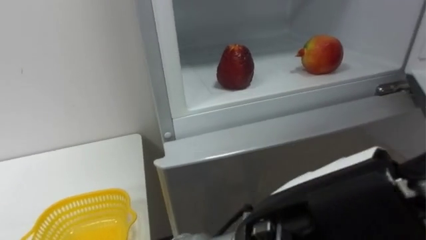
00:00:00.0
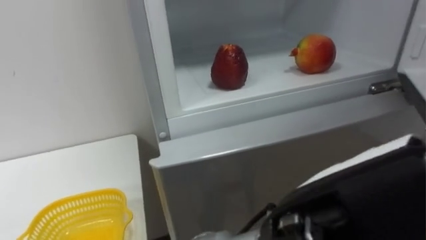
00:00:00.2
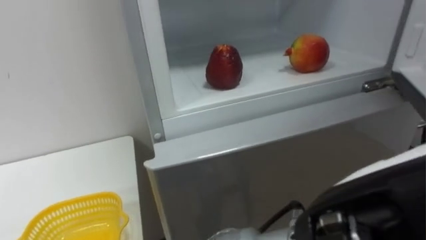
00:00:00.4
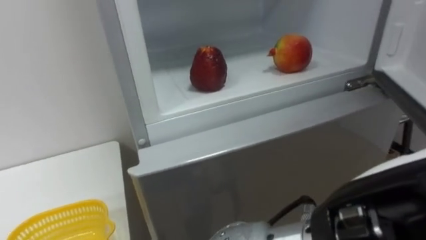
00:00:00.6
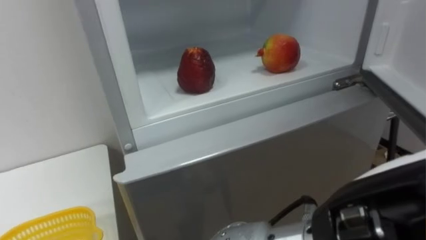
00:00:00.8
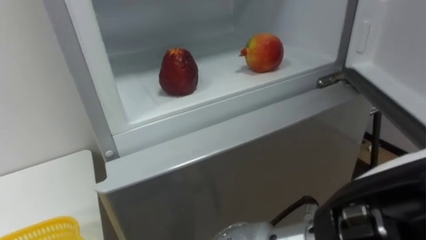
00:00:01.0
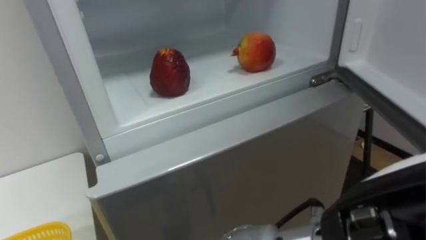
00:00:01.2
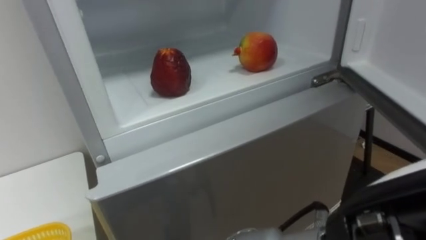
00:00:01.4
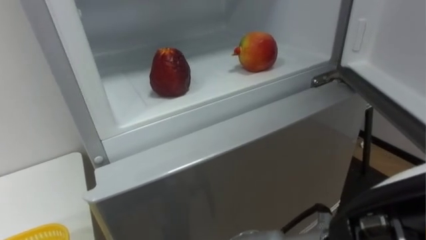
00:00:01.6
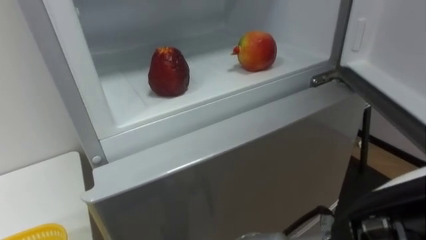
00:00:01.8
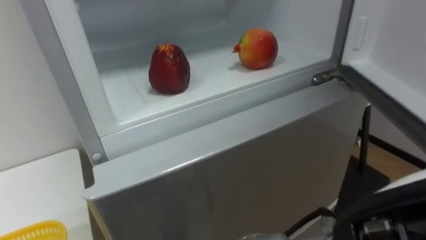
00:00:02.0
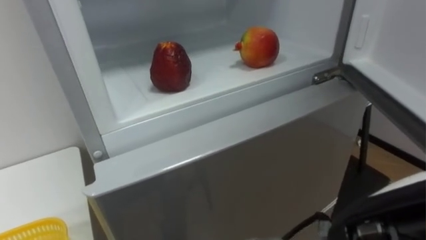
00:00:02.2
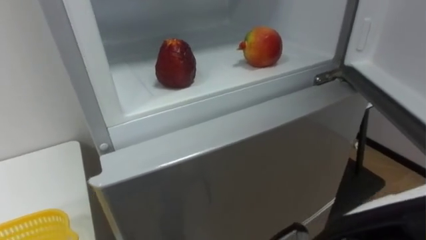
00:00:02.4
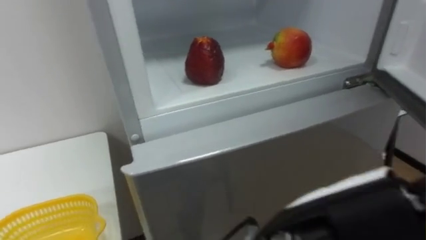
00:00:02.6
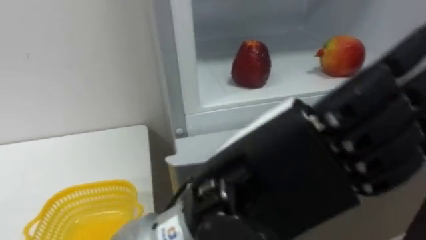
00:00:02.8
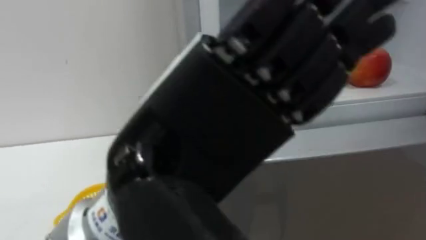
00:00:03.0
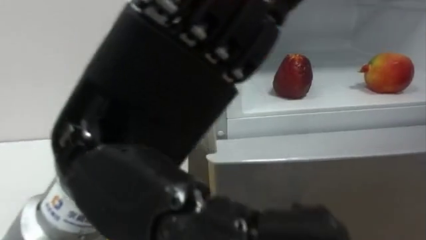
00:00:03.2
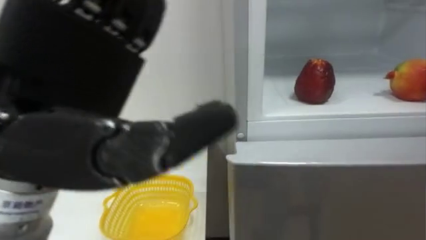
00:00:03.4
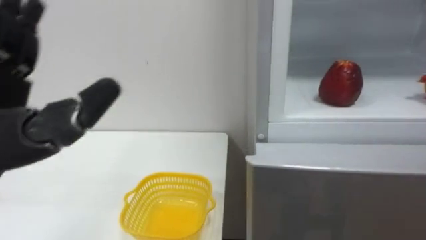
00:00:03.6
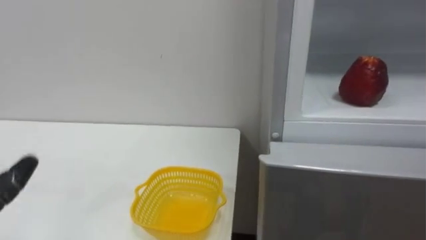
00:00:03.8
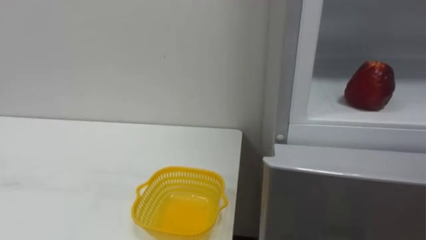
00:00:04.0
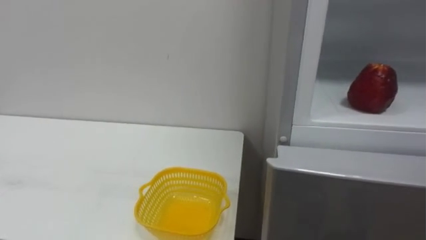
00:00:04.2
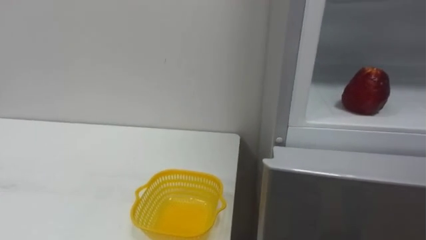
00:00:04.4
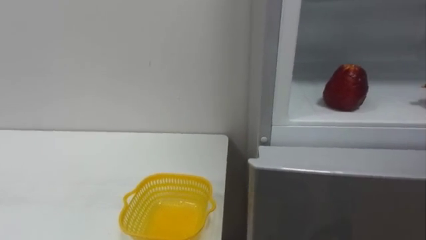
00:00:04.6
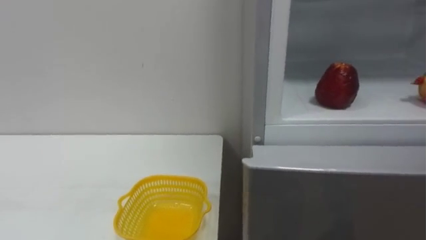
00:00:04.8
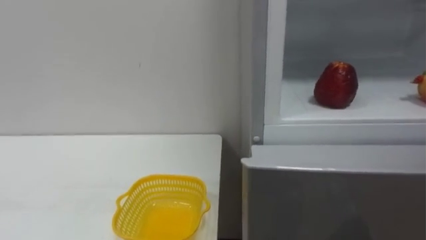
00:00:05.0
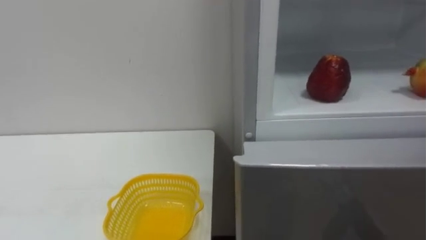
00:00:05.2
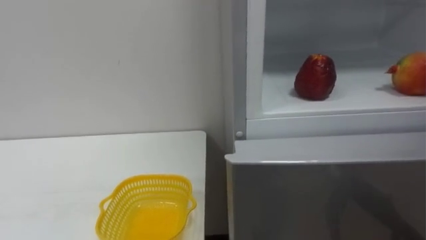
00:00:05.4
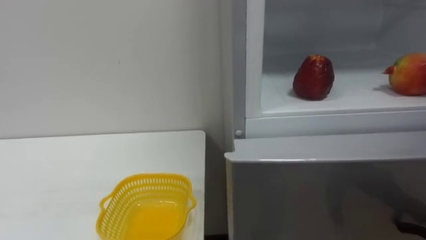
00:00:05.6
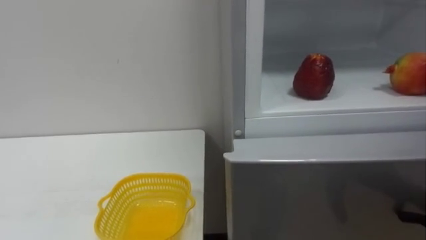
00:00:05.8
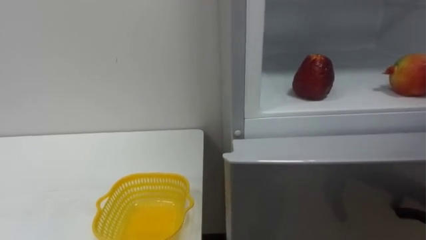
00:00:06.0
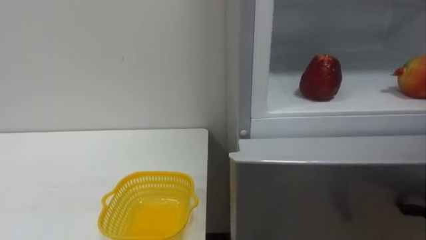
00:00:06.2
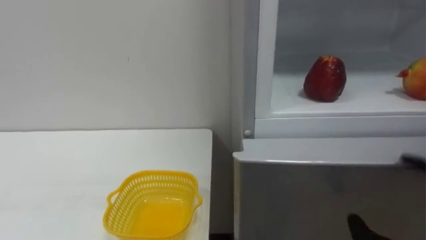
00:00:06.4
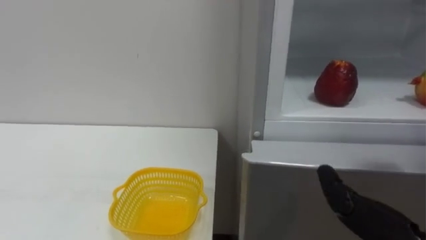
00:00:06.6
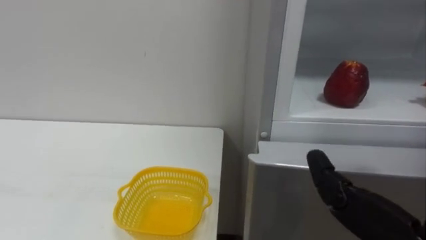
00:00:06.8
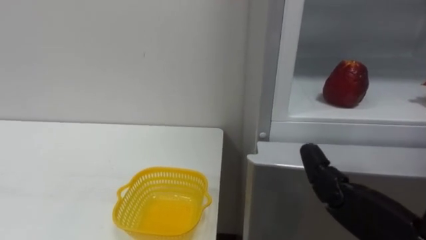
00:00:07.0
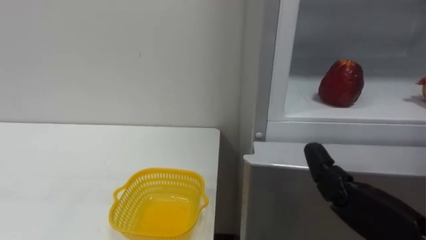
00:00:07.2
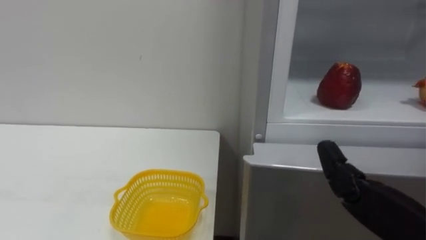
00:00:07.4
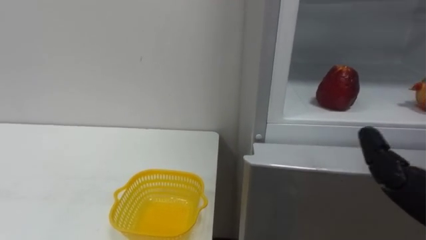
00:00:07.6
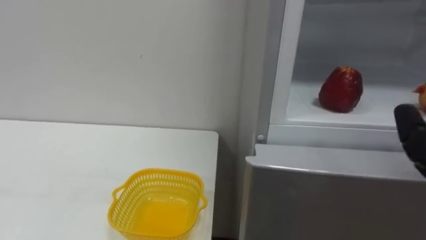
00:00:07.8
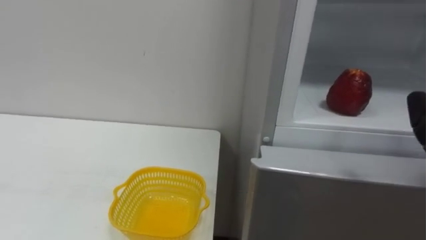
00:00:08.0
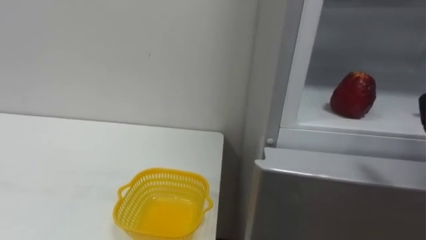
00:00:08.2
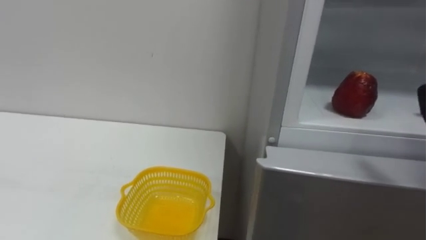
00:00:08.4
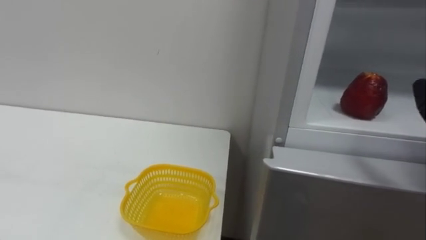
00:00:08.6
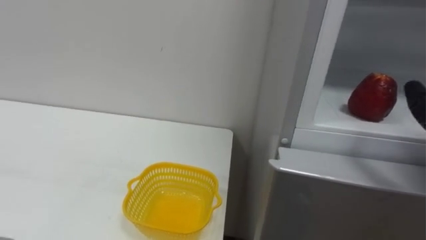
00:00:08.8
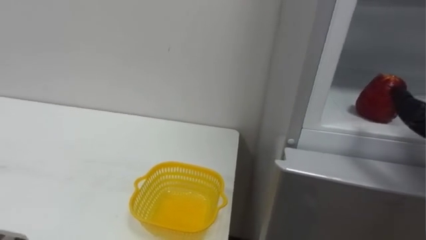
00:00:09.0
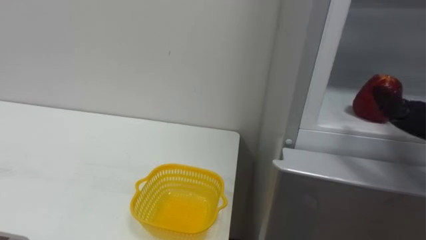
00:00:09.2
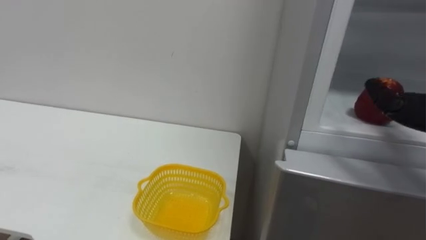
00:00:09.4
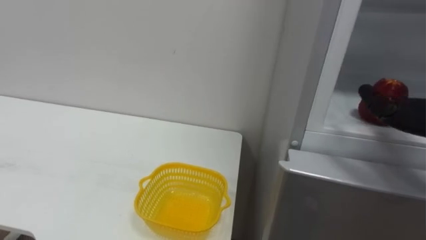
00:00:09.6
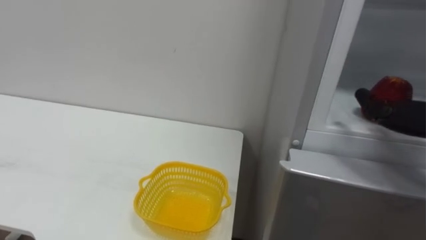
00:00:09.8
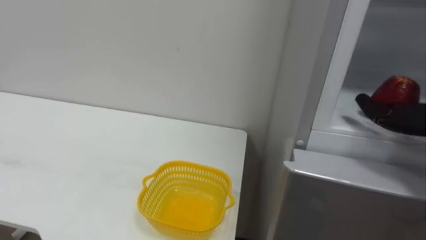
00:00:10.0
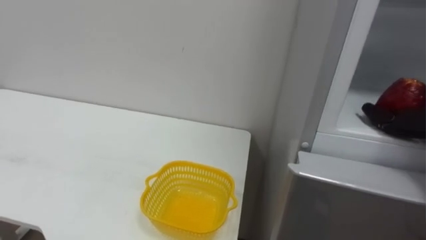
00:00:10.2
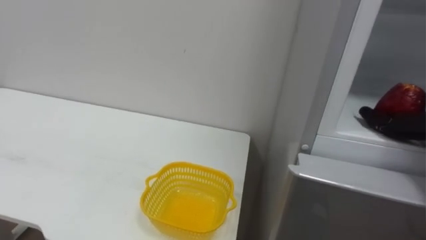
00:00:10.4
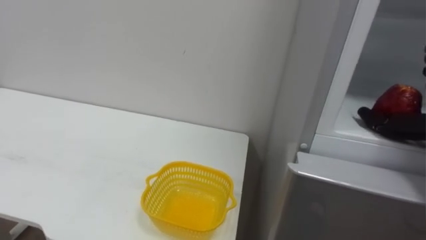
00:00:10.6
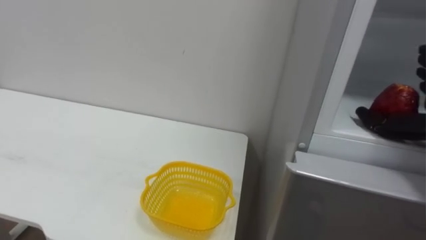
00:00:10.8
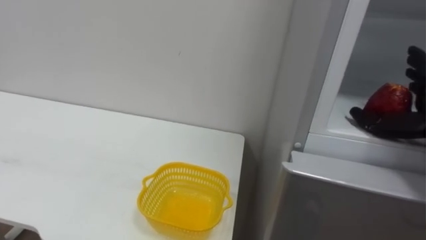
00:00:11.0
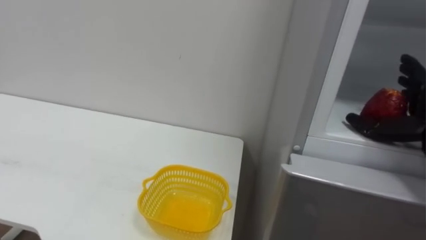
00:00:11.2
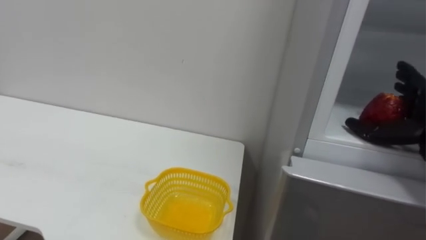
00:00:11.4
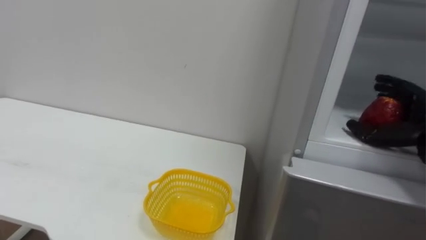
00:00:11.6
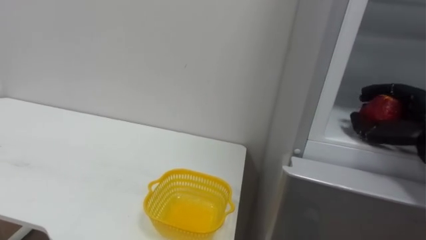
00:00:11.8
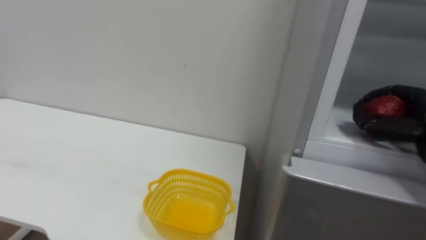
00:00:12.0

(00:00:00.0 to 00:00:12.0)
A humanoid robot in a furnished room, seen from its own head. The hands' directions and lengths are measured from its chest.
Task of the whole recording: Open the refrigerator door, take out the apple and the pomegranate, place them in the fruit basket on the left, and close the refrigerator door.
00:00:00.0 - 00:00:01.6: The left hand is displaced to the right by roughly 5 cm.

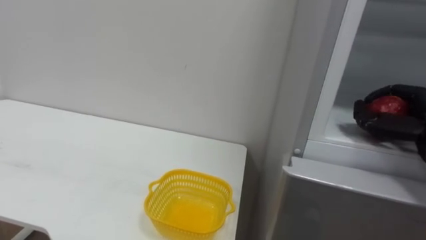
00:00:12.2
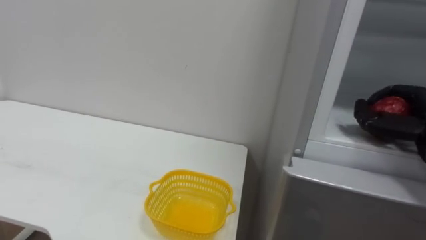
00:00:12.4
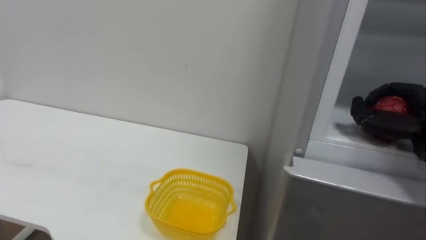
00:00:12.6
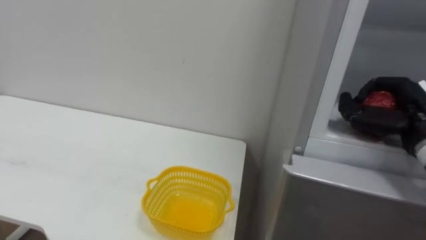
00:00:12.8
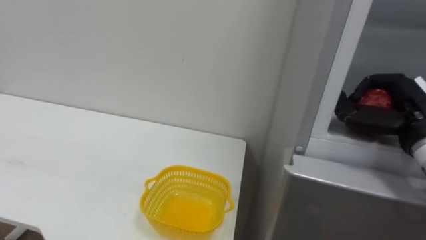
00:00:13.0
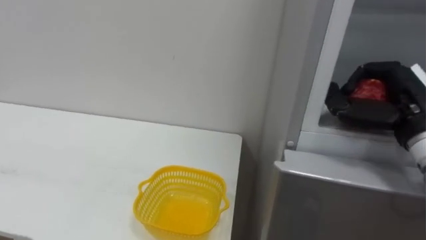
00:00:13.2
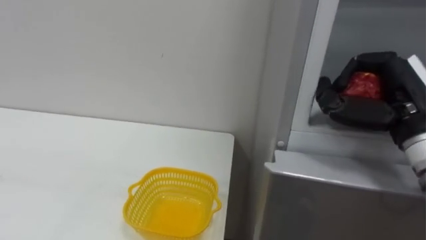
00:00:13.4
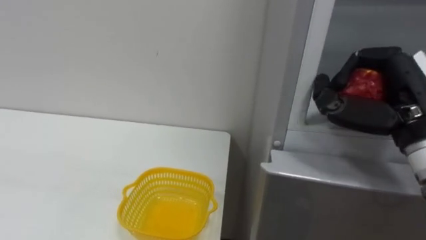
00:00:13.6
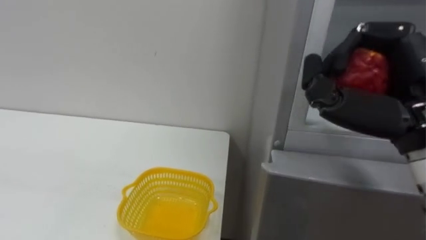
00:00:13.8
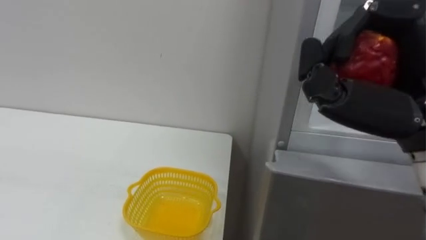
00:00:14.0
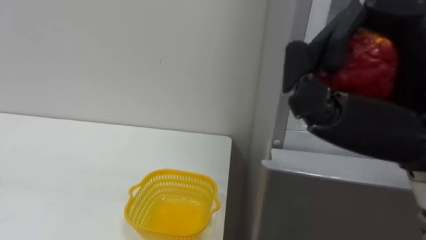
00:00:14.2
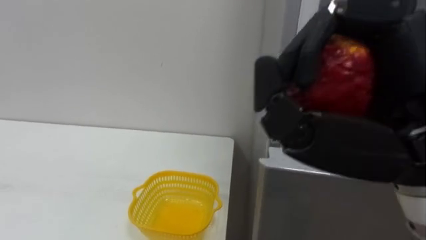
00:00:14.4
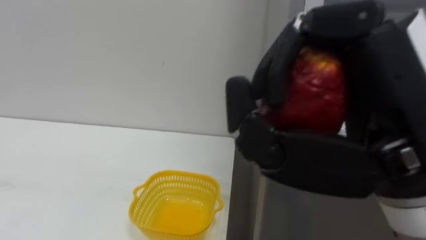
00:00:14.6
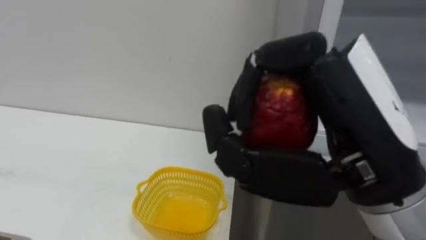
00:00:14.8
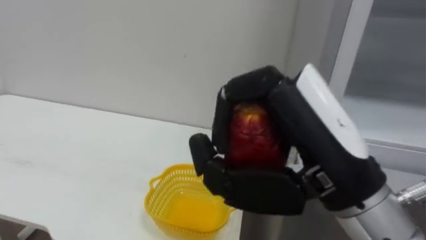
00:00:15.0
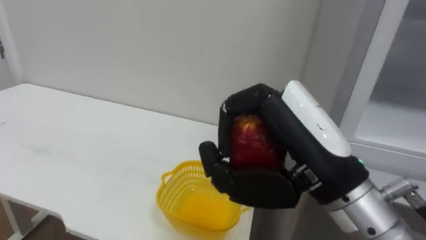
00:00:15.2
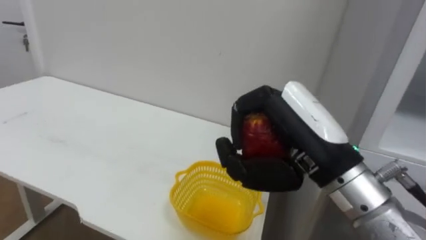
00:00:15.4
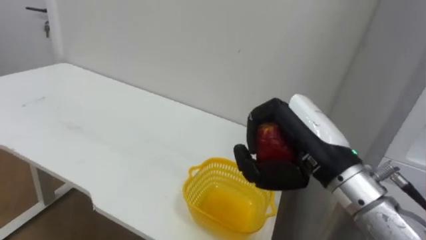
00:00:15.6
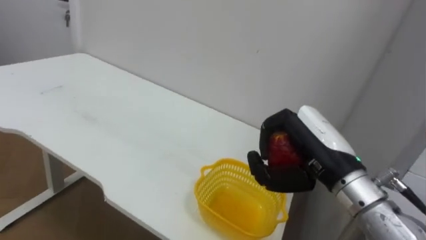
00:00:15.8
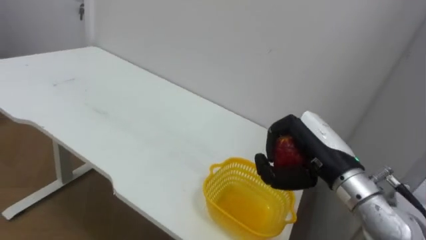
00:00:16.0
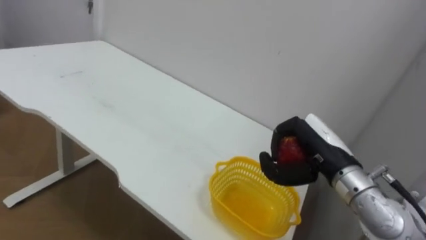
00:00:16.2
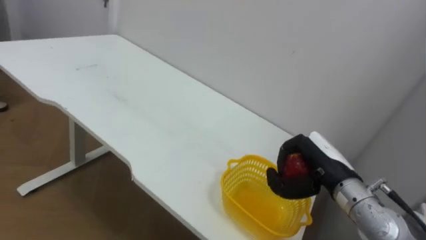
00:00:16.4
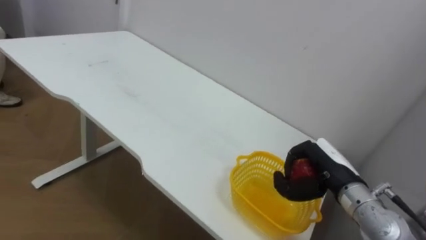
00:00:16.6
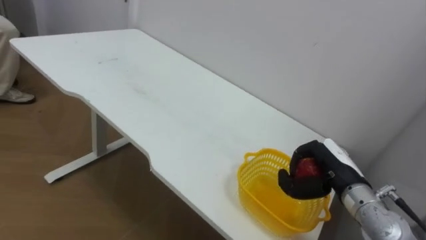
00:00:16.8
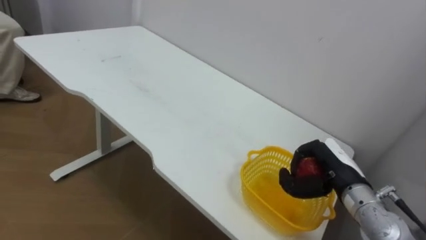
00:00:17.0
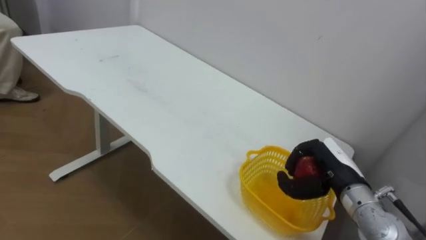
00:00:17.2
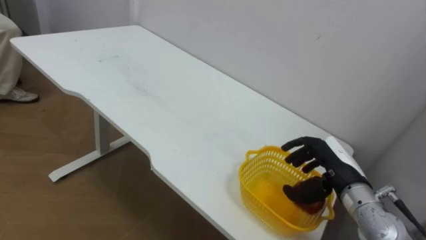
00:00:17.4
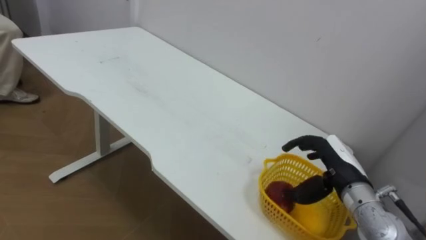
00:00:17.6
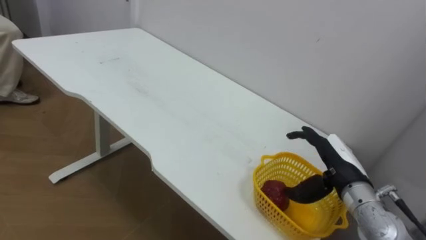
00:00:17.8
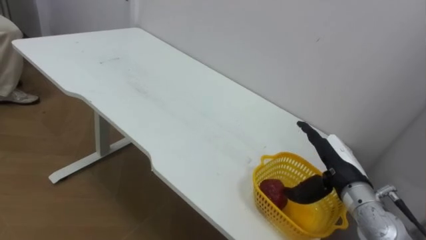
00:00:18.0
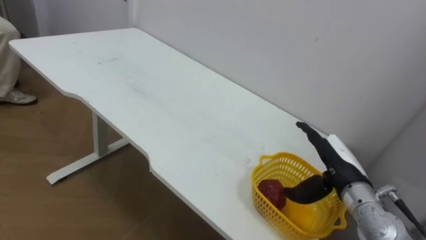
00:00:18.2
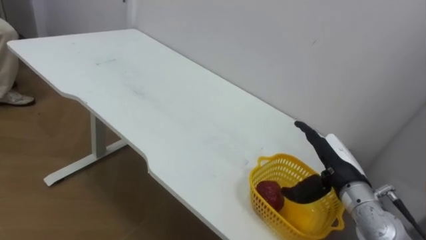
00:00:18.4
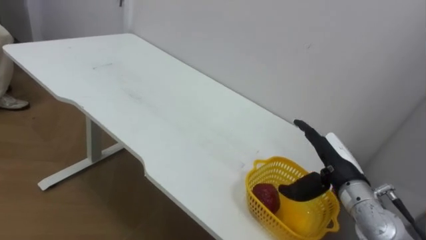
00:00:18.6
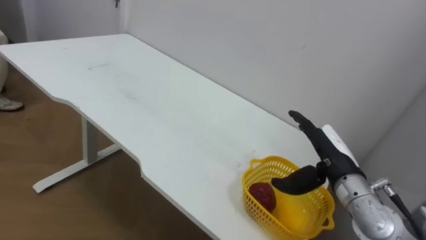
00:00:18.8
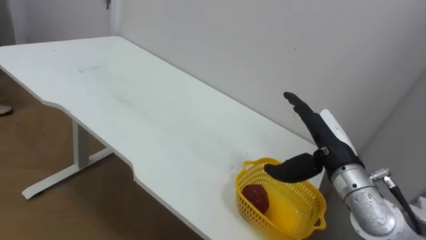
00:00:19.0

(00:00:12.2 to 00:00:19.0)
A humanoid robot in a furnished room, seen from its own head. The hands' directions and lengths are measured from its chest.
Task of the whole recording: Open the refrigerator door, take out the apple and the pomegranate, place them in the fruit basket on the left, and close the refrigerator door.
00:00:12.2 - 00:00:13.6: The right hand shifts some 15 cm to the left, upward and backward.
00:00:13.6 - 00:00:15.0: The right hand moves to the left and backward, about 20 cm.
00:00:15.0 - 00:00:16.2: The right hand is displaced forward, downward and to the right by about 20 cm.
00:00:16.2 - 00:00:17.6: The right hand is displaced downward by some 5 cm, and opens.
00:00:17.6 - 00:00:19.0: The right hand moves upward, roughly 5 cm.
